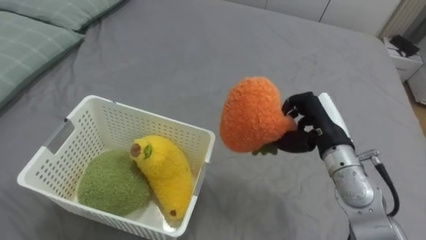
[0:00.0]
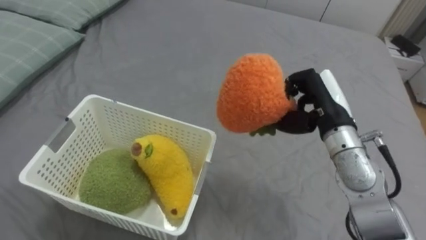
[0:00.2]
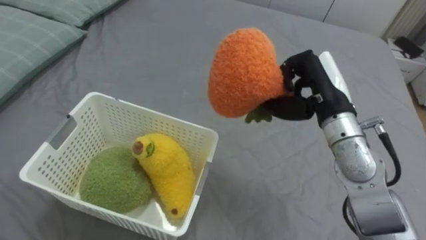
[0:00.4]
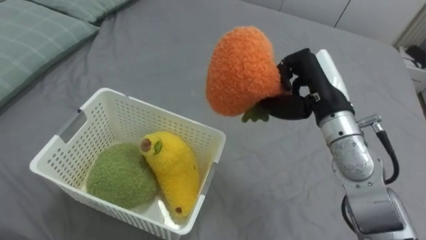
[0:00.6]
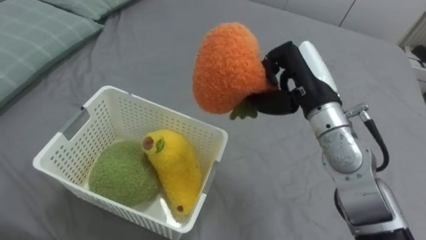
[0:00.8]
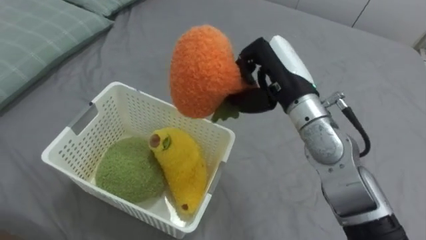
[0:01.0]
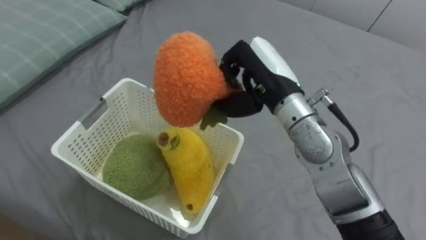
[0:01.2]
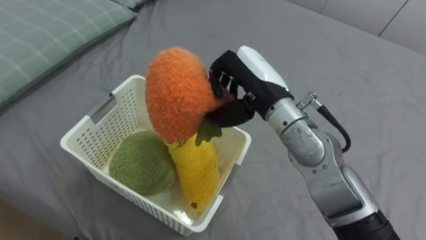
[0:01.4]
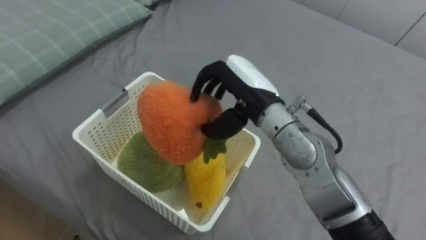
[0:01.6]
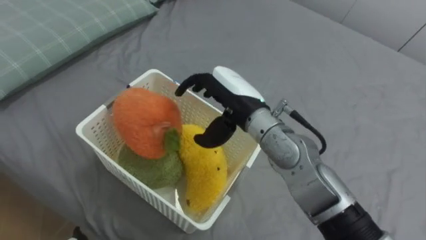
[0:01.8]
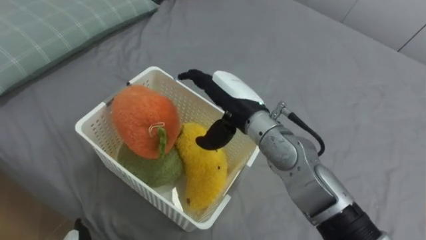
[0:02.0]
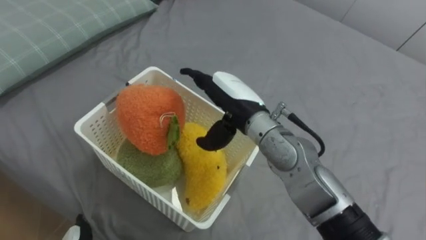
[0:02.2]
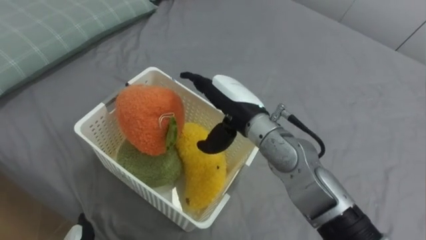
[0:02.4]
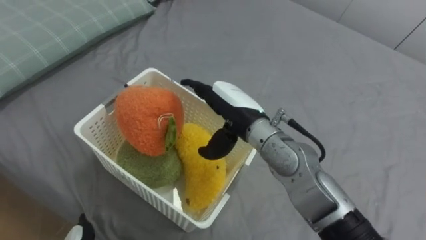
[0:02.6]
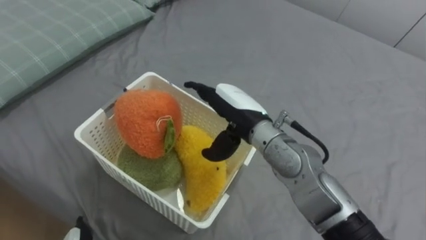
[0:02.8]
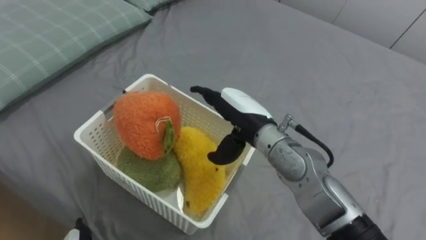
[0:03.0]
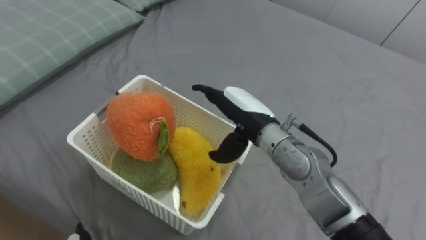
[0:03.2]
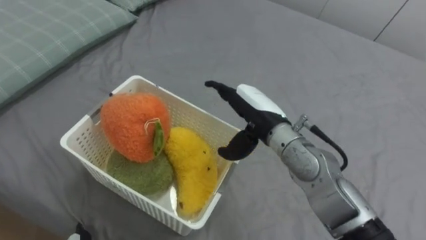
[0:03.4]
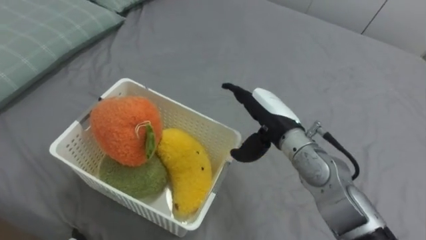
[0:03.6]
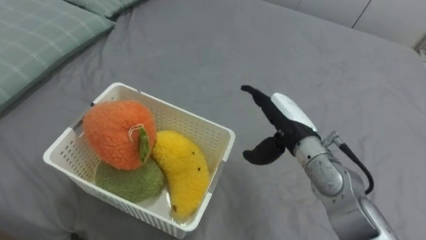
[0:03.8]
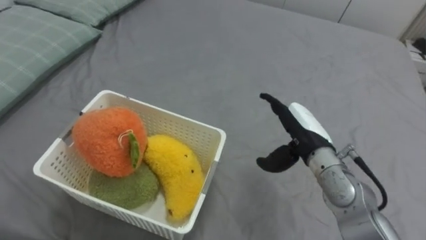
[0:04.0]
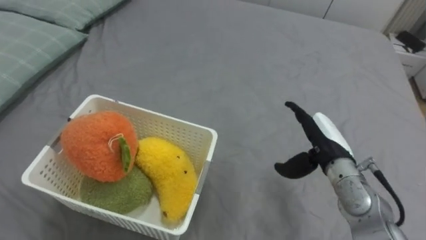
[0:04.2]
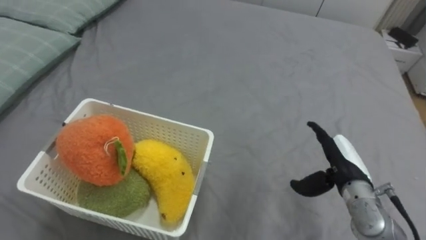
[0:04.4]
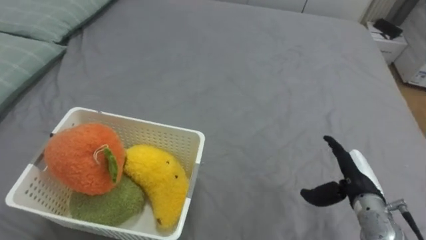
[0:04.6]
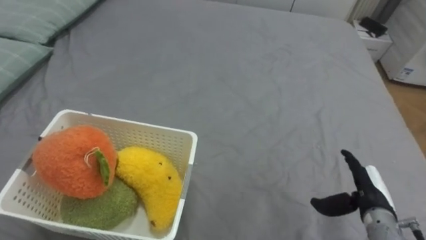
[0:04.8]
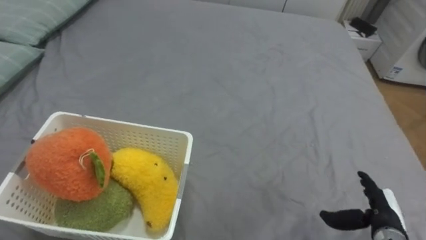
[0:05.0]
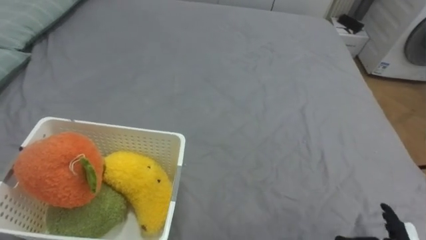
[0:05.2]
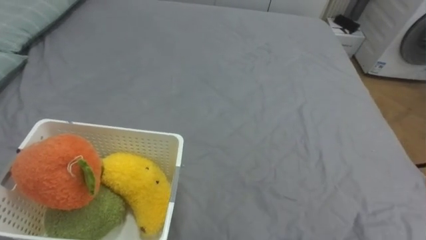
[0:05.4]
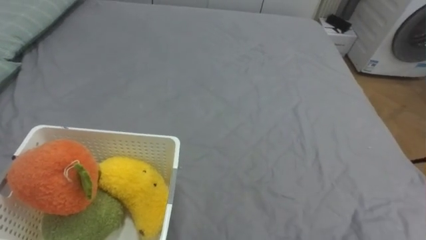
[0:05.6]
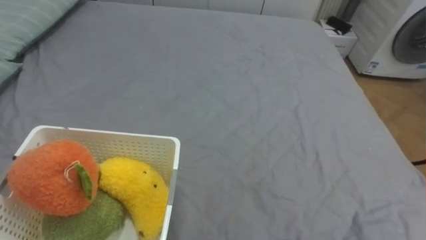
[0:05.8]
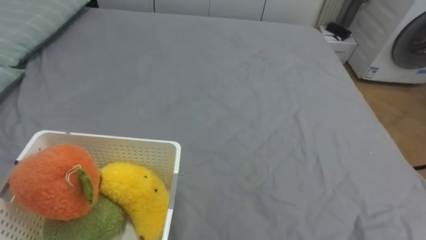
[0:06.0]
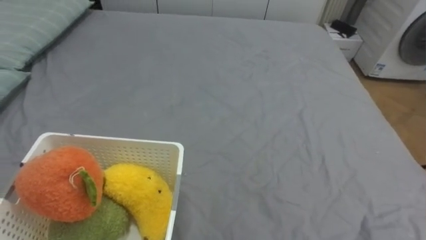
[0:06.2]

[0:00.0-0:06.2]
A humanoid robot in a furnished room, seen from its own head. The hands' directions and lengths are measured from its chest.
Task of the whole recording: Put the toys on the bed into the basket on the left.
0:00.0 to 0:01.6: The right hand goes roughly 15 cm to the left and upward.
0:01.6 to 0:03.2: The right hand heads downward, covering some 5 cm, and opens.
0:03.2 to 0:04.6: The right hand shifts about 25 cm to the right and downward.

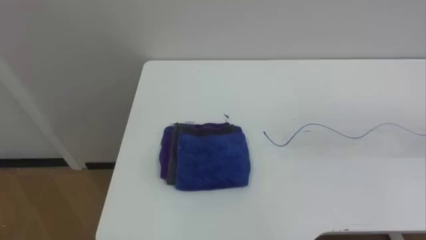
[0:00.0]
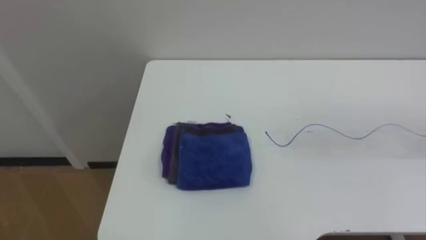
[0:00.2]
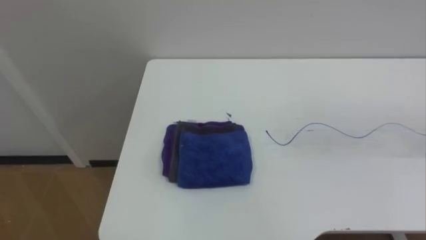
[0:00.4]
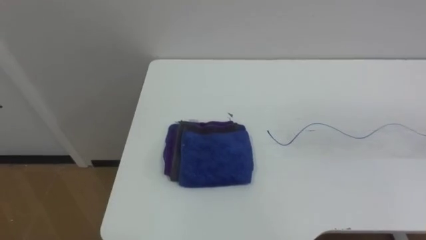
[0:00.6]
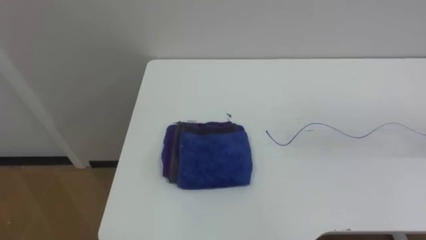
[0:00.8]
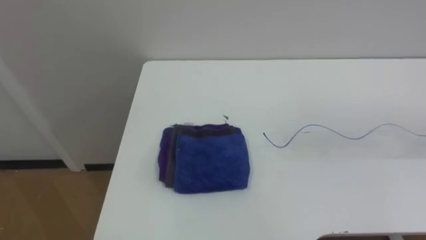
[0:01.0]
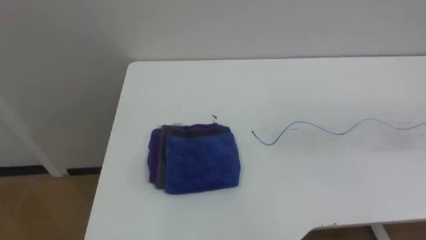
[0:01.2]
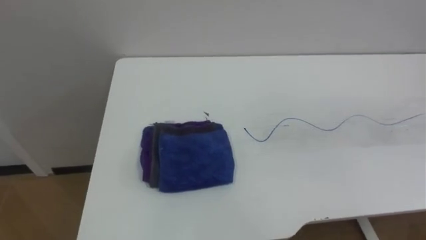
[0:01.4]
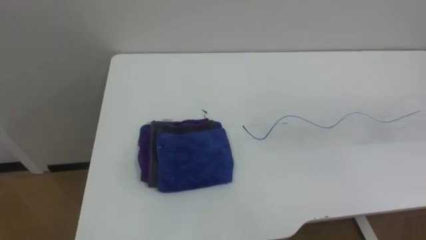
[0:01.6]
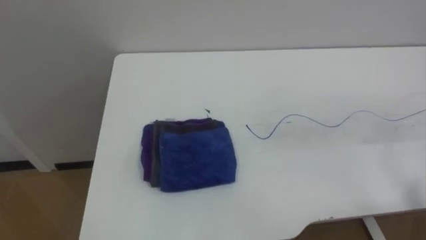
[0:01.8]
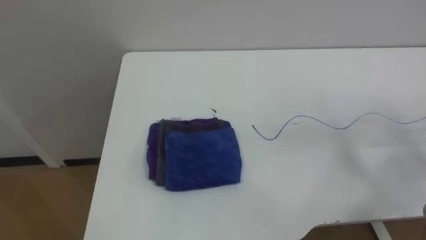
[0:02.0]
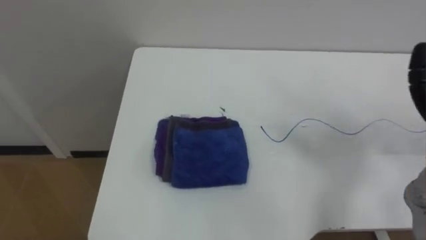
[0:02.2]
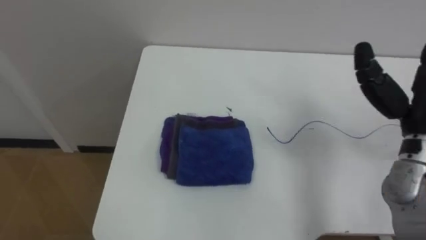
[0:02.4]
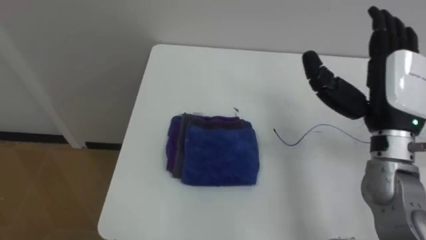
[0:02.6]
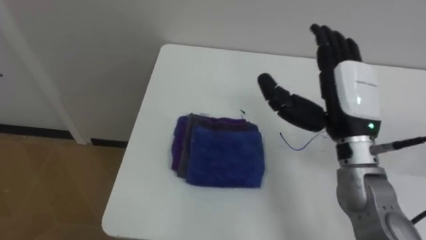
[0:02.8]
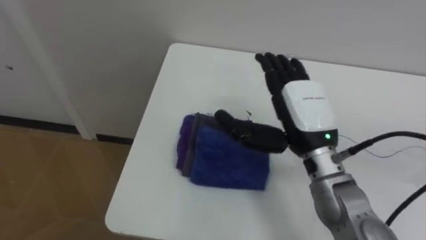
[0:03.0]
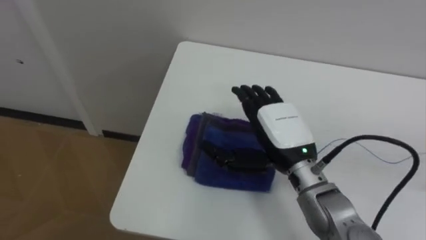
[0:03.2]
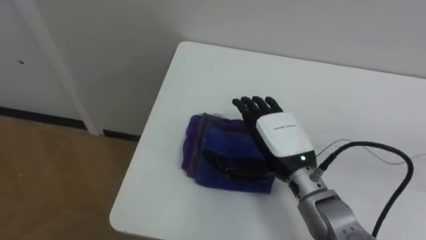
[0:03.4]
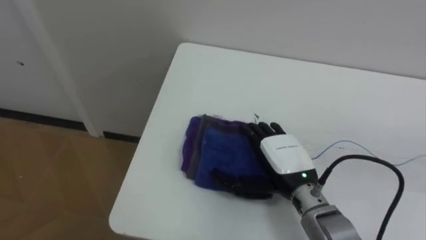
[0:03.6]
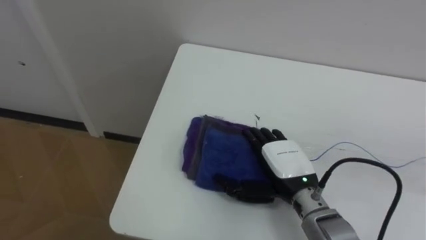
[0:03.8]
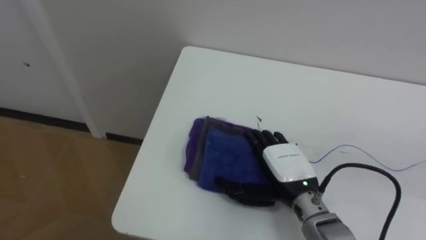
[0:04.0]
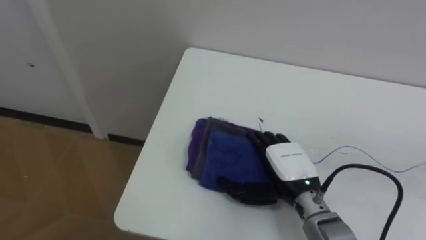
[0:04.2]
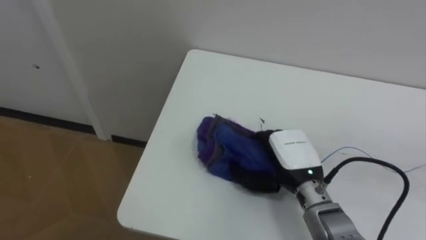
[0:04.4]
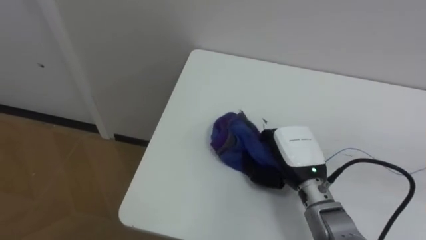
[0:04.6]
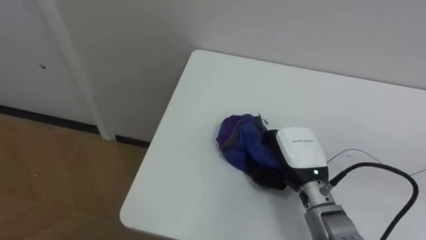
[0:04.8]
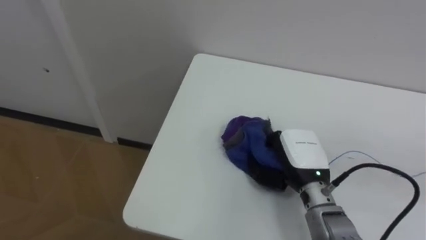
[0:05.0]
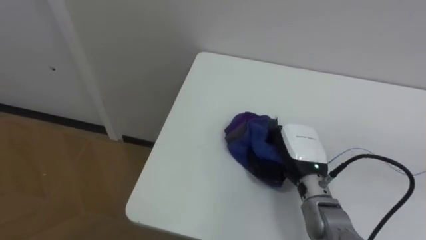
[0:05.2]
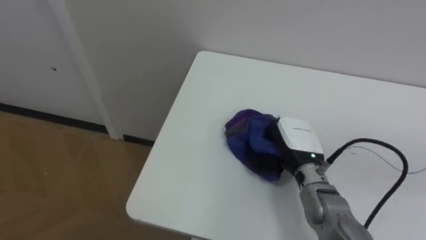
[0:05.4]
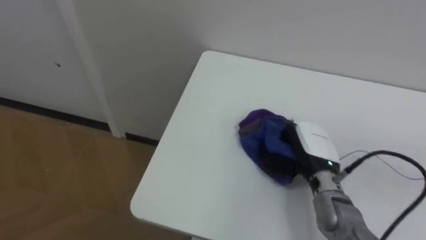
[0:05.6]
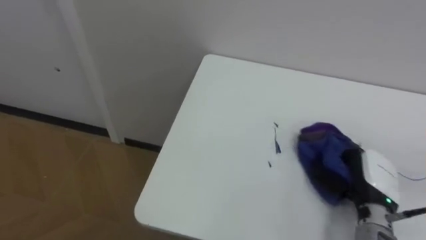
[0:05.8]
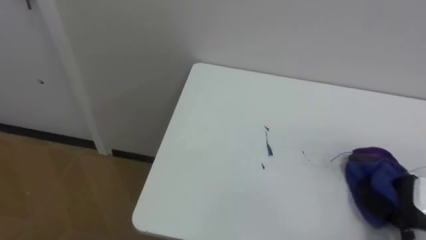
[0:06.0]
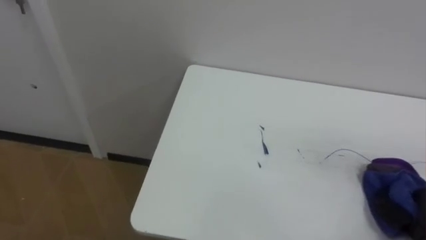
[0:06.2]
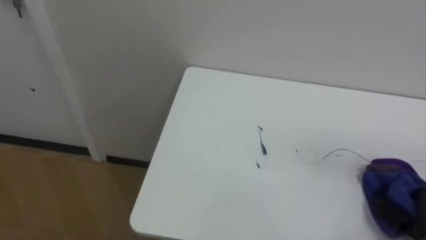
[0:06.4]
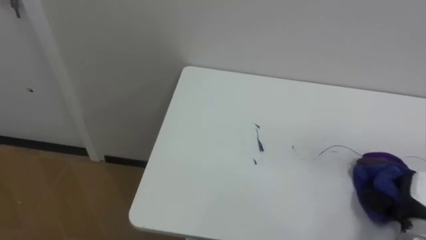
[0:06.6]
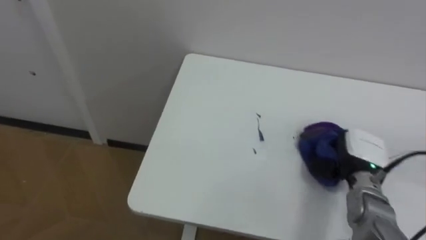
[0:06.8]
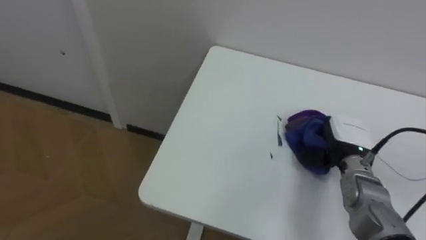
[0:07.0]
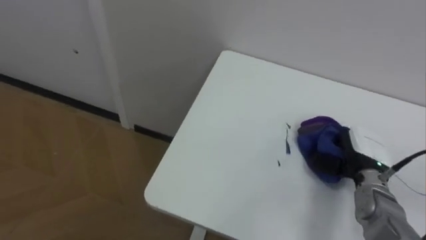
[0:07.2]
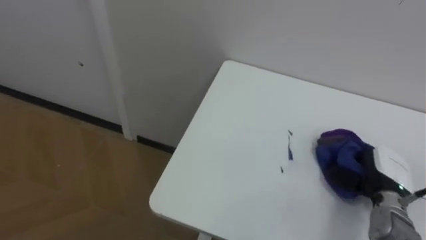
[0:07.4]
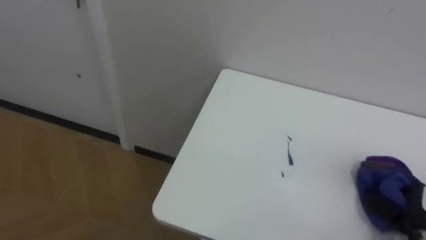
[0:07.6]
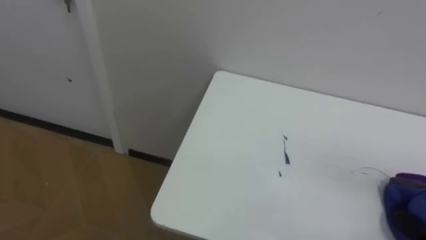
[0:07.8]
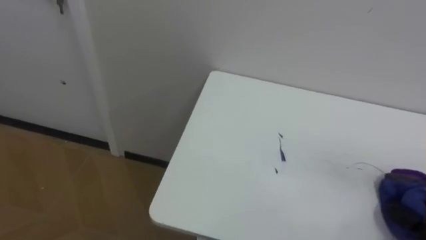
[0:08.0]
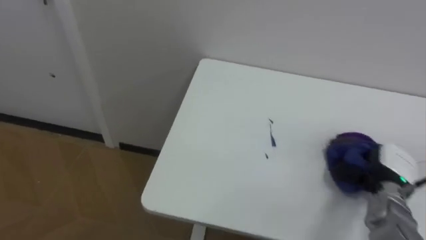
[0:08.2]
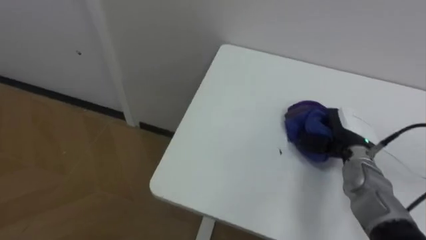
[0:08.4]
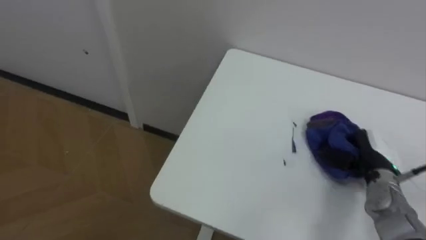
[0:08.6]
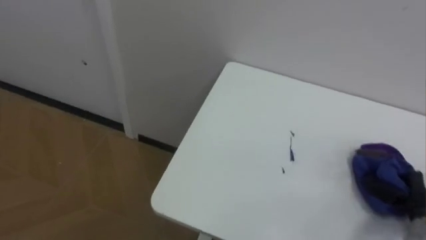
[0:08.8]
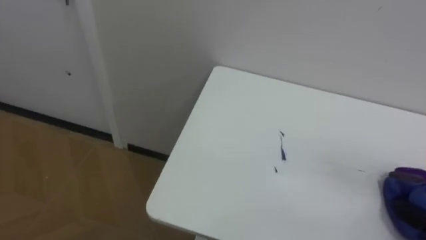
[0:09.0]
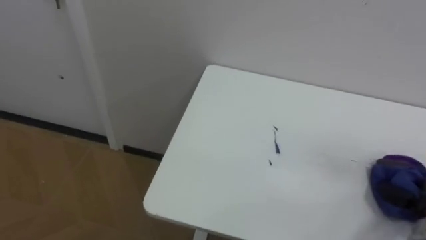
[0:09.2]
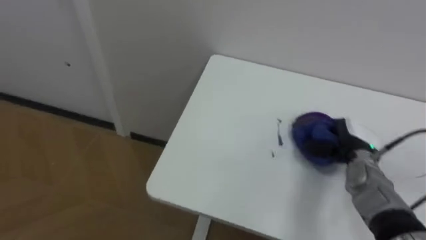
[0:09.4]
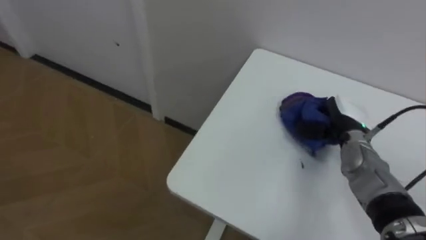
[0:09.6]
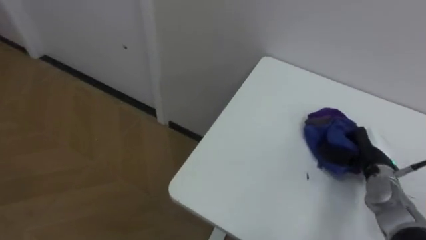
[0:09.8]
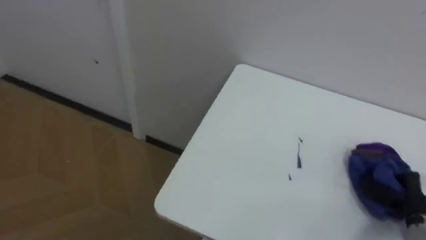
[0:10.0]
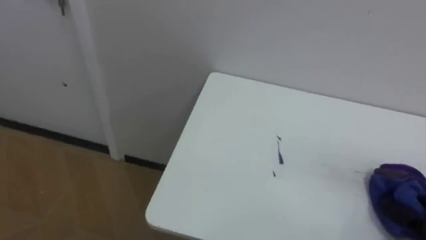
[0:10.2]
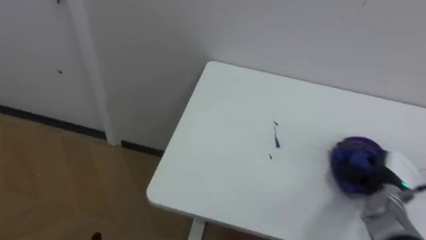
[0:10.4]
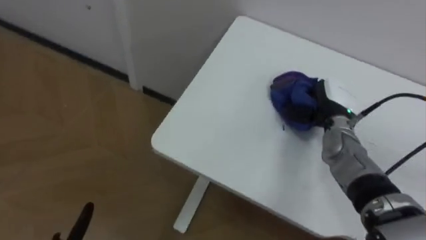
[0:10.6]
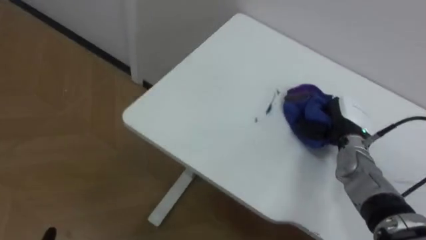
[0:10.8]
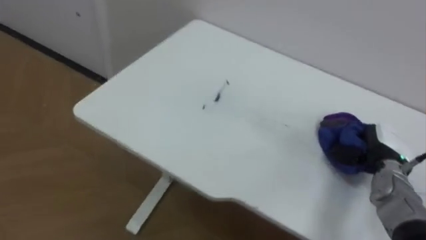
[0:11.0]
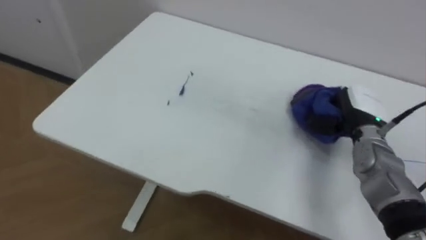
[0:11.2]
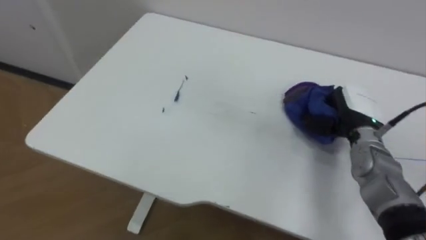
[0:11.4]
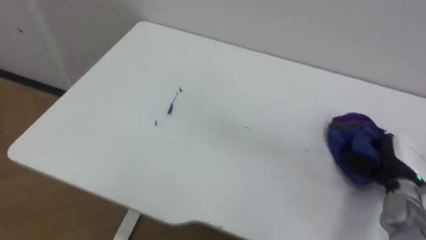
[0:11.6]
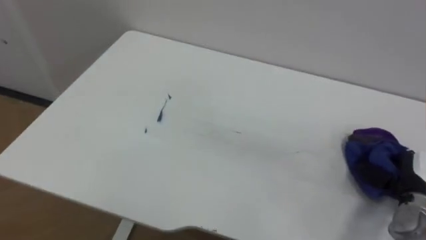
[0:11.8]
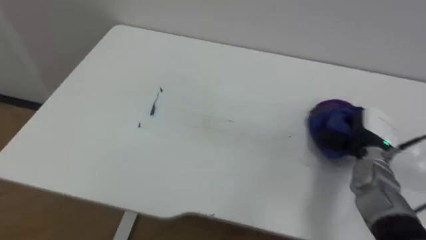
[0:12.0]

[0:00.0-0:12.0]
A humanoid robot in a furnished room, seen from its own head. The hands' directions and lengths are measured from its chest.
Task of the whole recording: Wipe the blue pen marks off the table with the rag.
0:03.0 to 0:04.4: The right hand goes roughly 10 cm downward.
0:04.4 to 0:06.0: The right hand travels to the right by about 25 cm, and closes its fingers.
0:10.4 to 0:12.0: The right hand goes forward and backward, some 15 cm each way, reversing 4 times.
